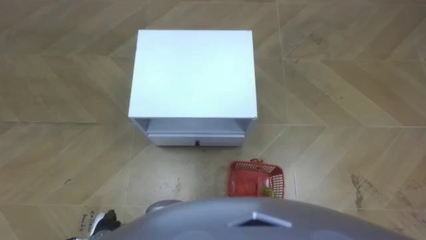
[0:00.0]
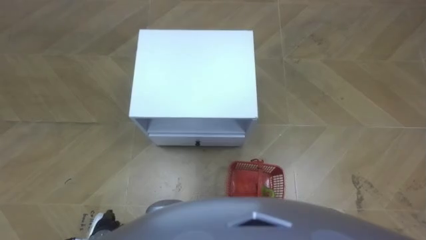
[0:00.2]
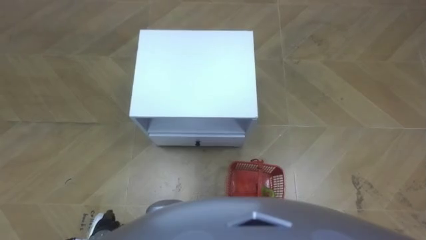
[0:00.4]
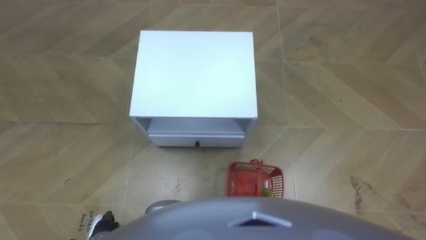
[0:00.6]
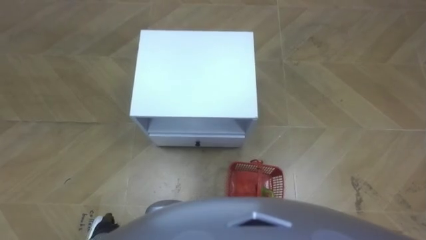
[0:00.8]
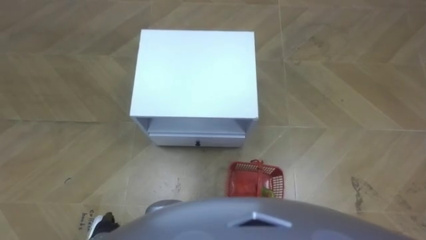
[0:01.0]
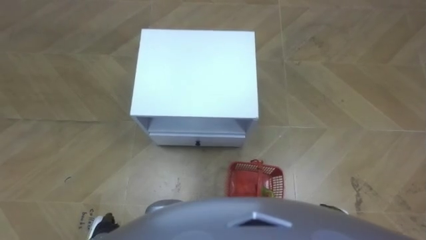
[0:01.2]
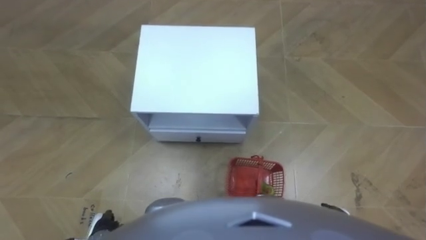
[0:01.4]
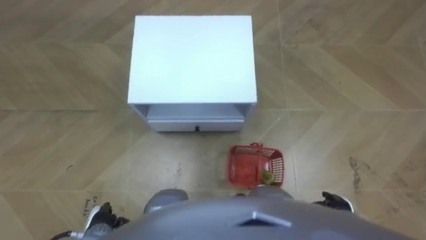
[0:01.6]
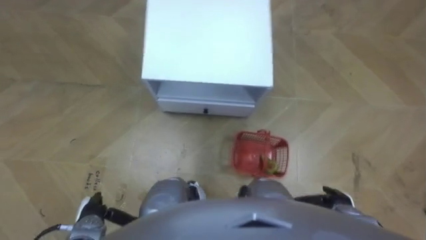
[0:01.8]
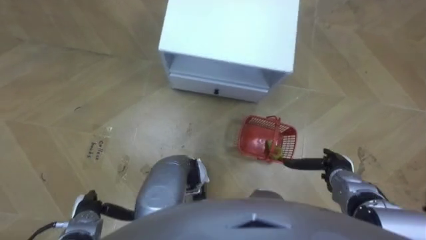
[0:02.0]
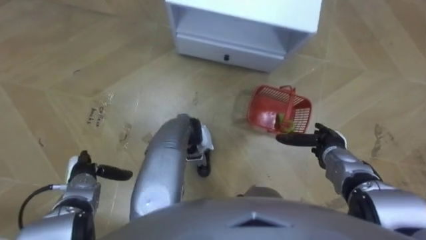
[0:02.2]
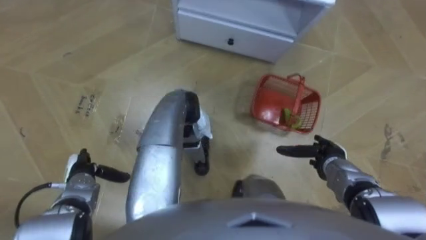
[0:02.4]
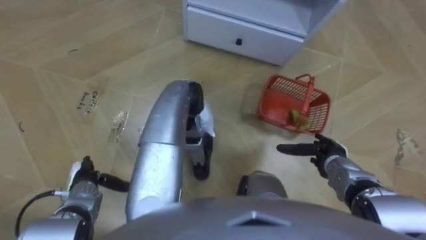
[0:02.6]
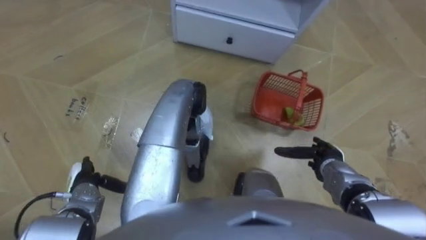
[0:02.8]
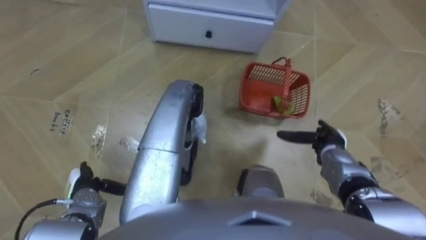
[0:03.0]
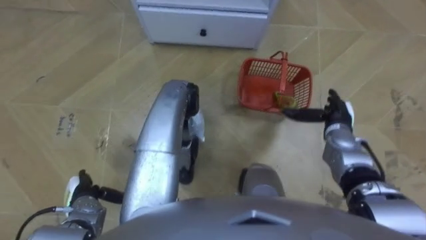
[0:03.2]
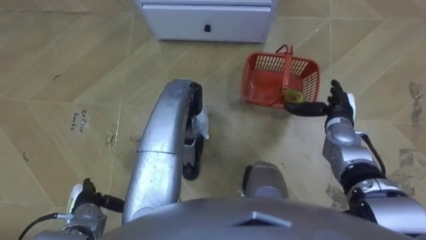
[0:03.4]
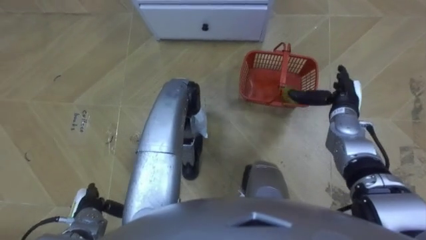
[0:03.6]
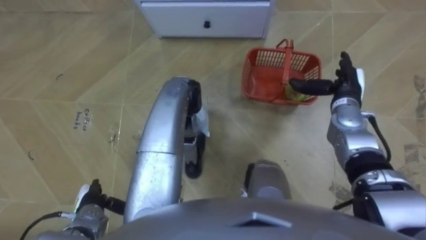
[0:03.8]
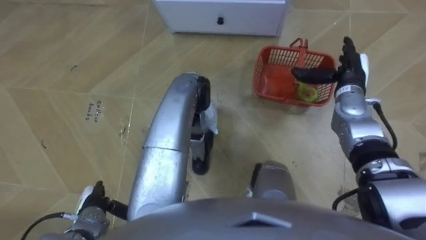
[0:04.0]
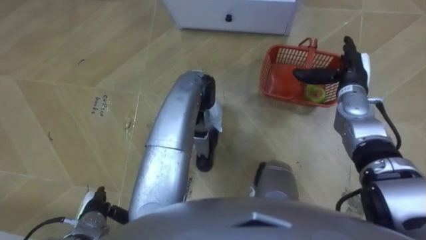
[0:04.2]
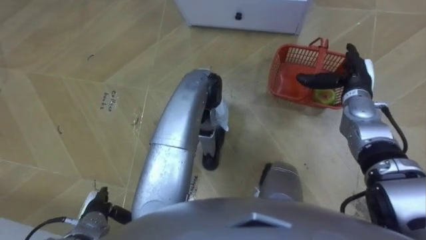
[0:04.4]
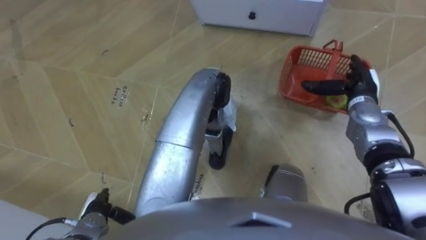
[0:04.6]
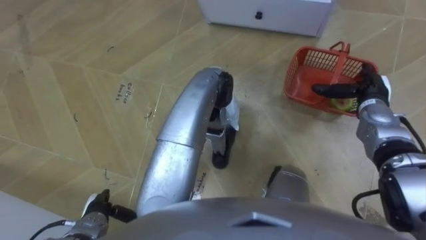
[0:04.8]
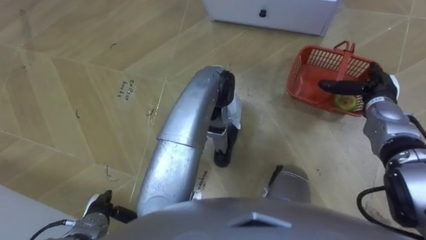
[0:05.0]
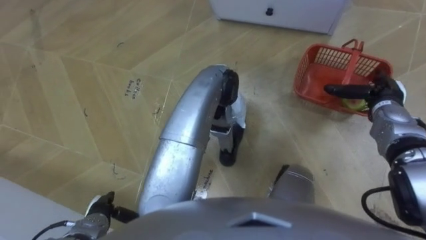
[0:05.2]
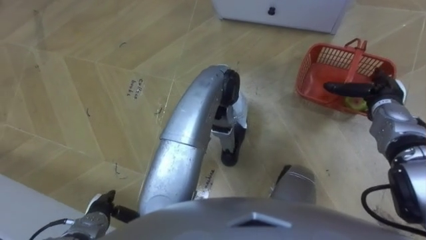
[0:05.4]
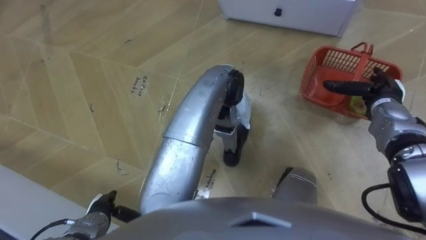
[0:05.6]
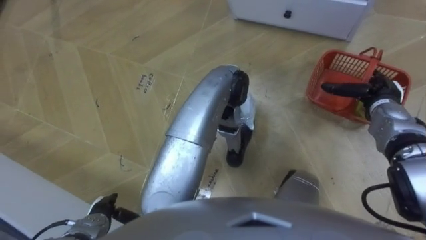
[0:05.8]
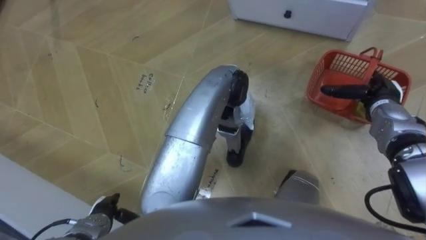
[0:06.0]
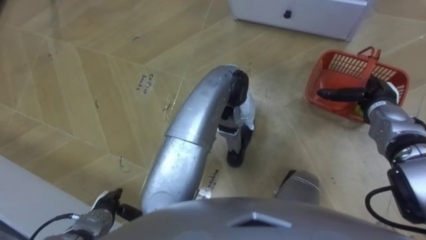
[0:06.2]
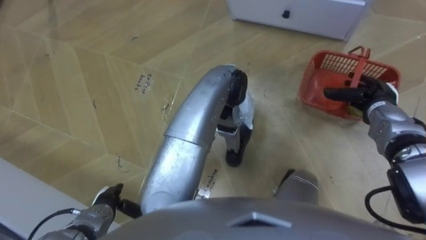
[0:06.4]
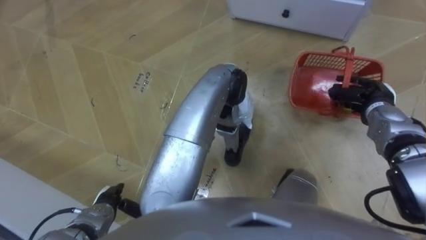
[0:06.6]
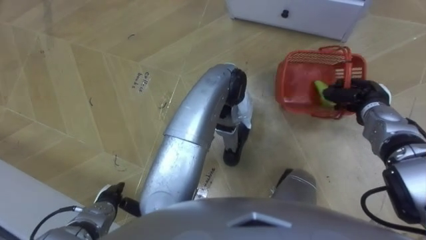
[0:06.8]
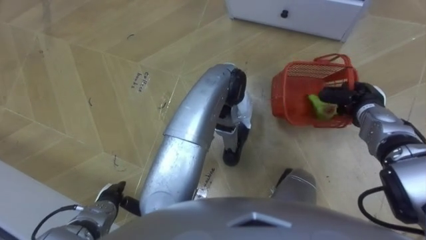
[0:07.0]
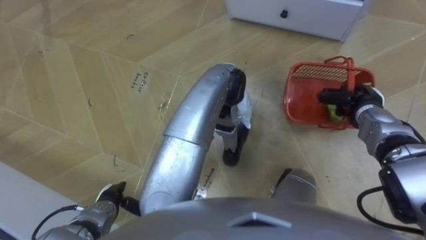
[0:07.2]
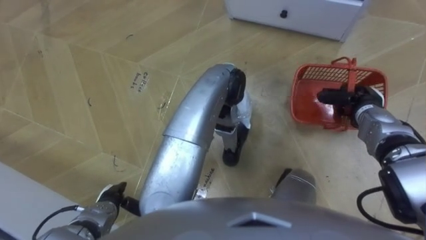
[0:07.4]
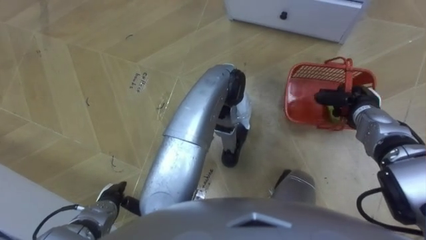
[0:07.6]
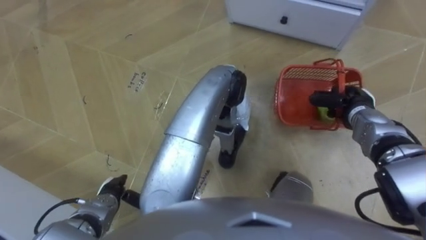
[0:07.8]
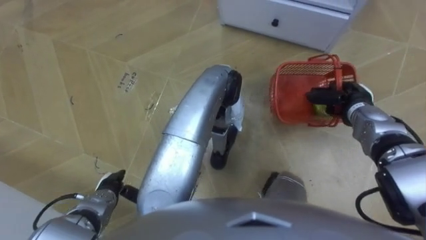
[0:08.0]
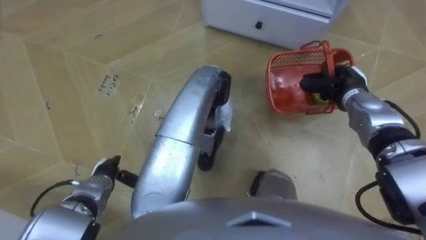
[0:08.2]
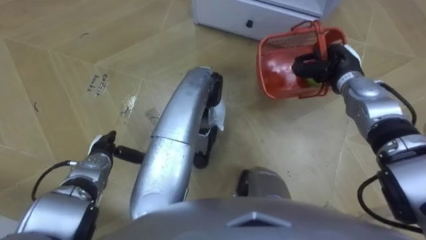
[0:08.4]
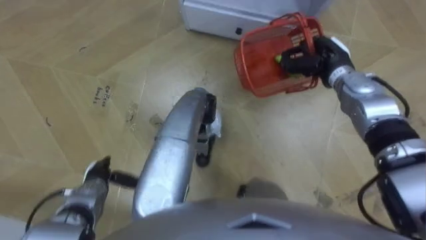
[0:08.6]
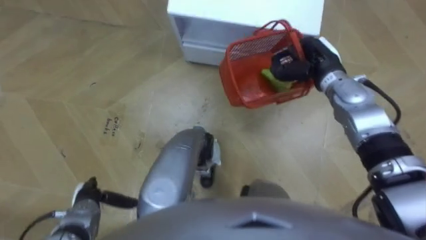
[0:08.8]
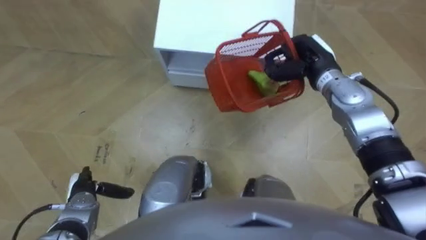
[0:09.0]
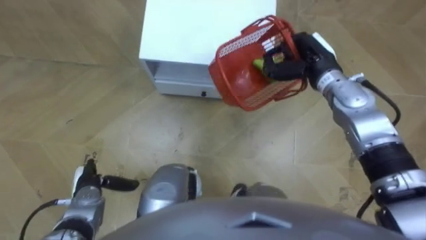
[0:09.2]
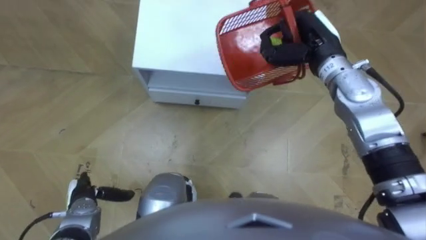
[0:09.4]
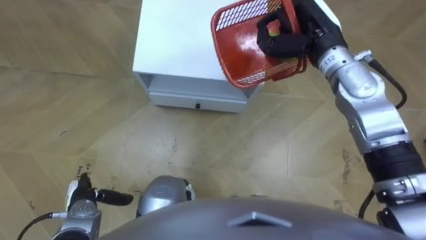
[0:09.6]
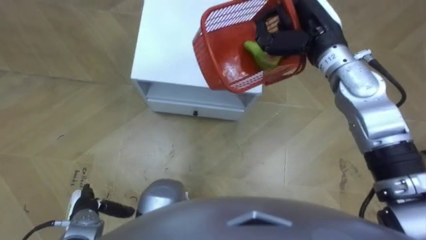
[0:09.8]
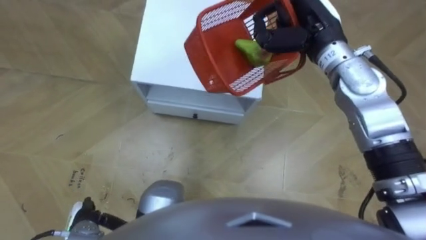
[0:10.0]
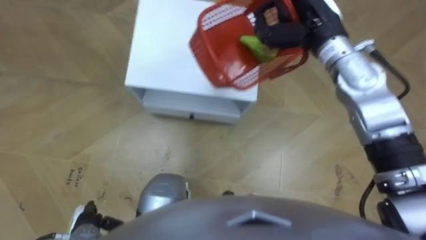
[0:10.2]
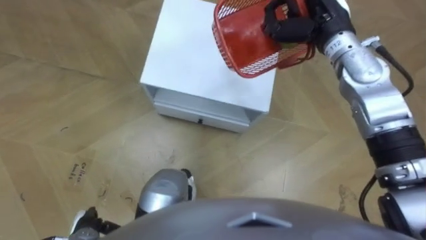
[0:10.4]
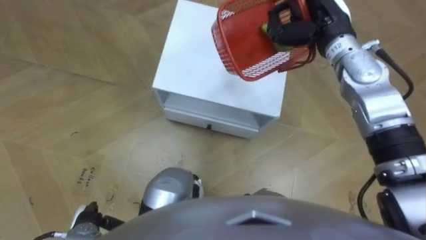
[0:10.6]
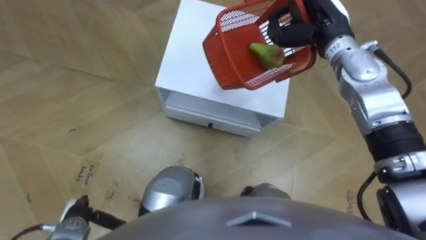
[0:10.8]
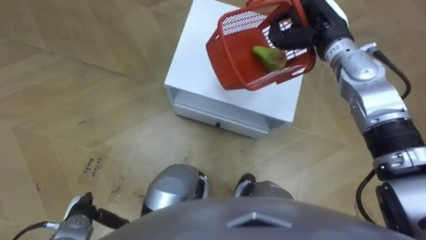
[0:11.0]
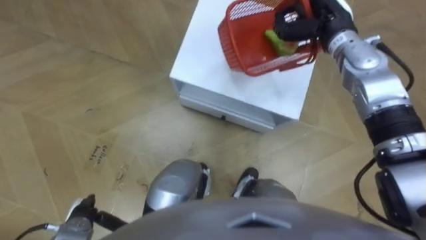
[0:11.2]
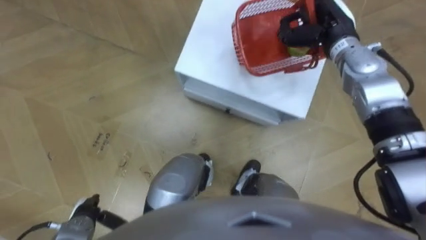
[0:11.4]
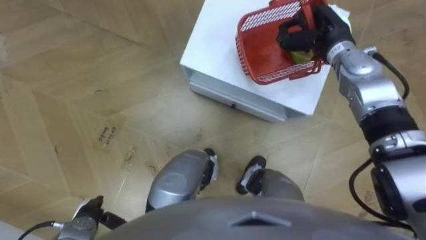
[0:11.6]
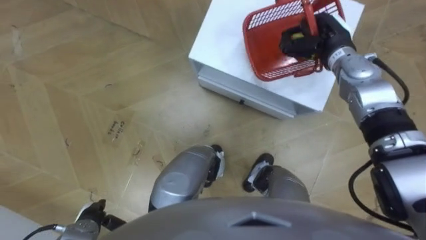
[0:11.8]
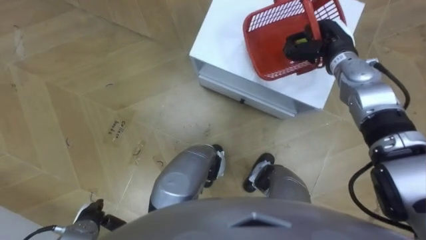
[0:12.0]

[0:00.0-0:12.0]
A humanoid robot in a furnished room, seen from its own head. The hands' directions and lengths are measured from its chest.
Task of the whole recording: Pick up the fruit basket from the floor and place it on the cabinet.
0:01.6 to 0:03.0: The left hand travels forward by some 10 cm. Meanwhile the right hand travels forward by some 15 cm.
0:03.0 to 0:04.4: The left hand travels backward by approximately 5 cm. The right hand heads forward and upward, covering roughly 15 cm.
0:04.4 to 0:06.0: The right hand travels to the right by some 5 cm.
0:06.0 to 0:07.6: The right hand closes its fingers.
0:07.6 to 0:09.0: The left hand shifts about 5 cm to the left, and reaches about 10 cm forward, then returns; the right hand shifts roughly 15 cm to the left, upward and forward.
0:09.0 to 0:10.4: The right hand moves upward, approximately 10 cm. Meanwhile the left hand heads backward, covering approximately 10 cm.
0:10.4 to 0:12.0: The right hand shifts roughly 10 cm downward.

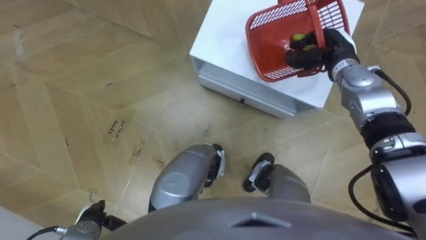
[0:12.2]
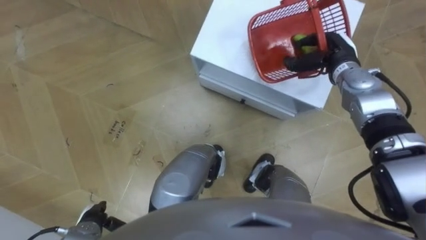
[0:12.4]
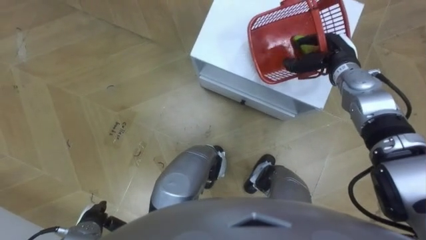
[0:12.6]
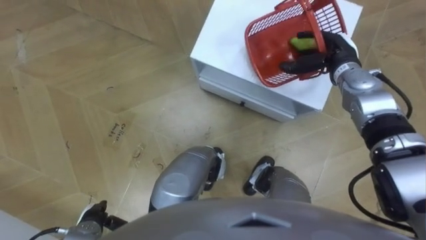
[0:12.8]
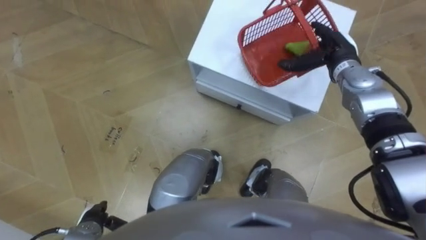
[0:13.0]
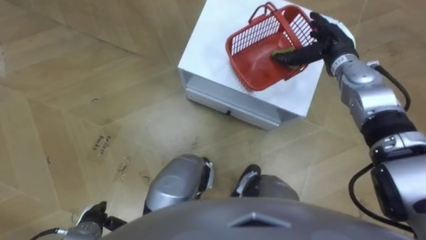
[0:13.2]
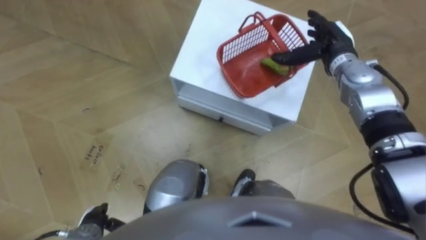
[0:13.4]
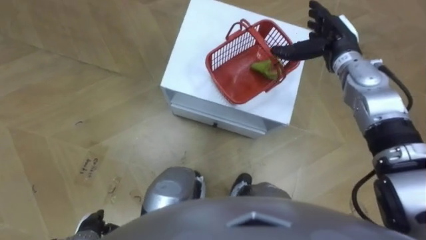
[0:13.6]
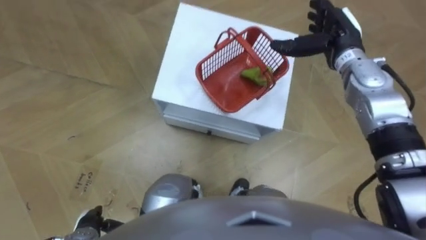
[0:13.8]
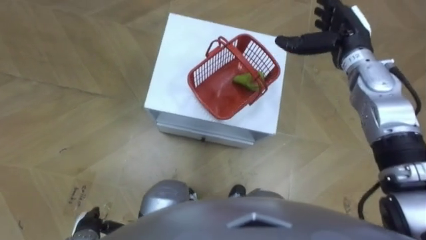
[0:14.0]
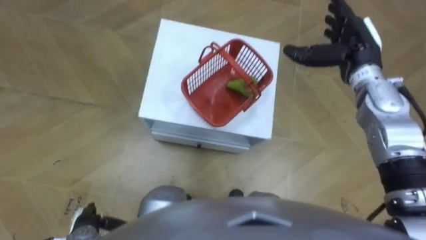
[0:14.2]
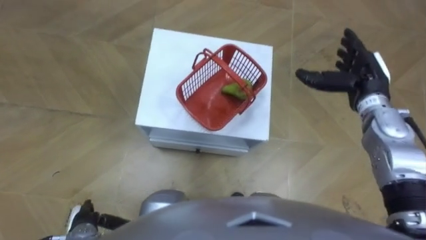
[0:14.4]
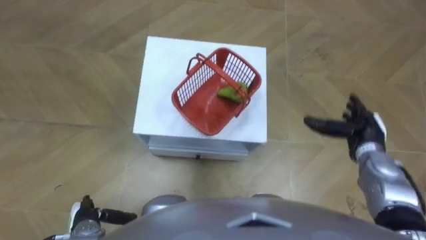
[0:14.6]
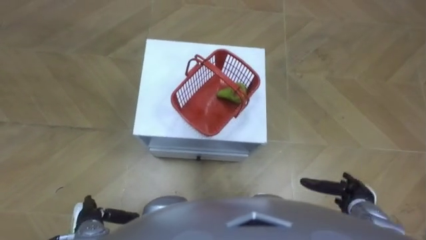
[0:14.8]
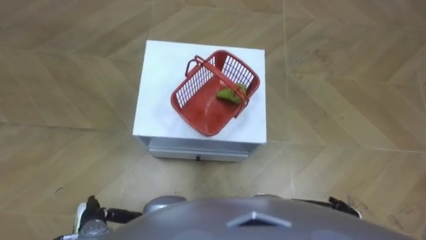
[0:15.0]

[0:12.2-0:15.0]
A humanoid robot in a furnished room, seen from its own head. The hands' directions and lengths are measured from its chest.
Task of the whole recording: Pick up the fruit basket from the floor and place it on the cabinet.
0:12.2 to 0:13.6: The right hand opens.
0:13.6 to 0:15.0: The right hand moves backward and downward, some 40 cm.

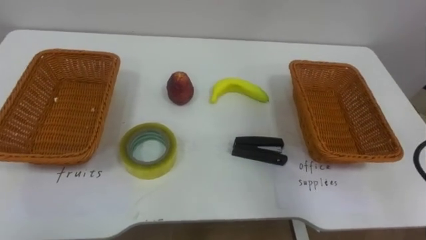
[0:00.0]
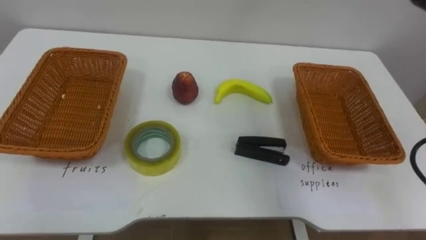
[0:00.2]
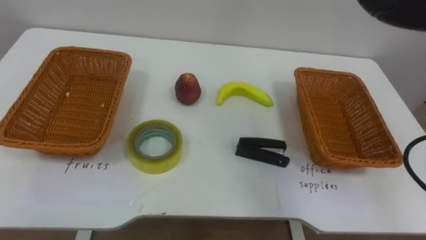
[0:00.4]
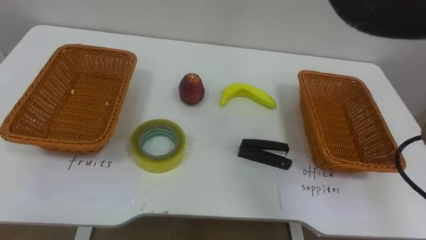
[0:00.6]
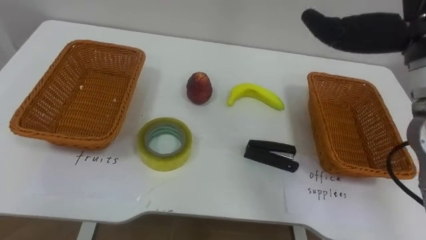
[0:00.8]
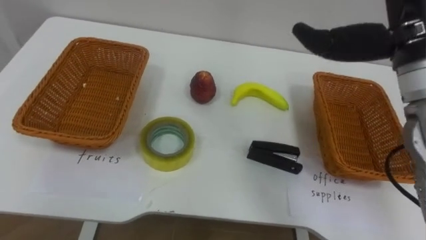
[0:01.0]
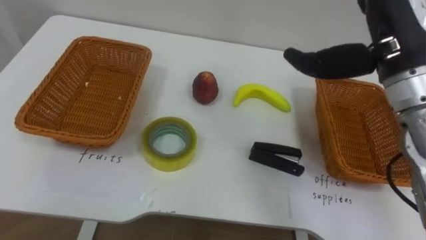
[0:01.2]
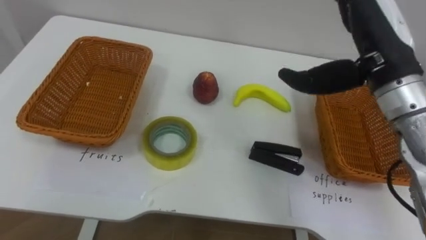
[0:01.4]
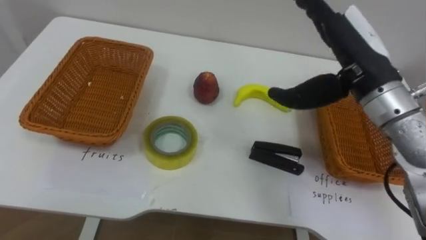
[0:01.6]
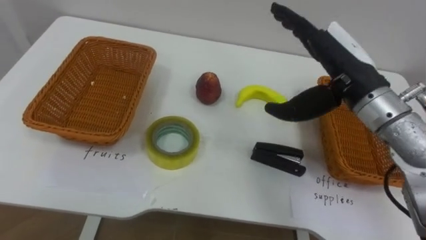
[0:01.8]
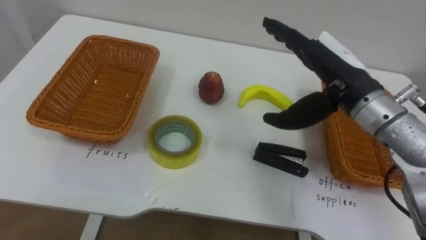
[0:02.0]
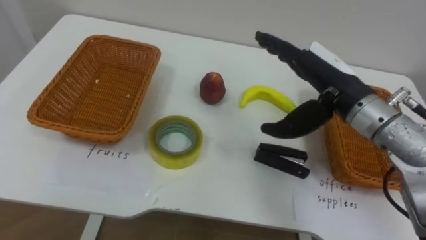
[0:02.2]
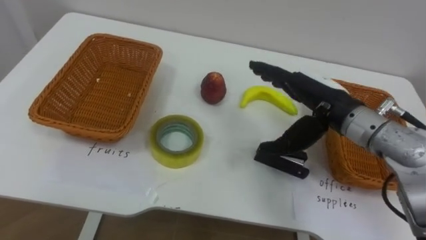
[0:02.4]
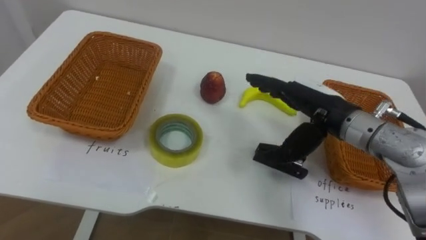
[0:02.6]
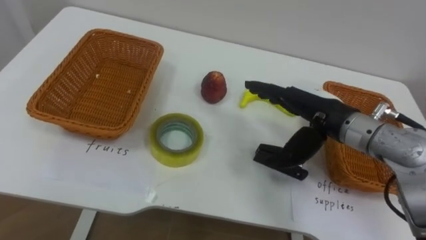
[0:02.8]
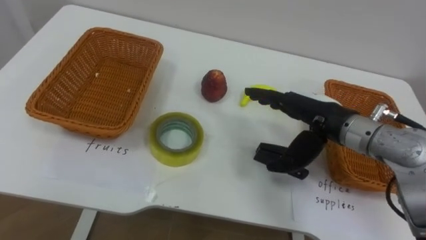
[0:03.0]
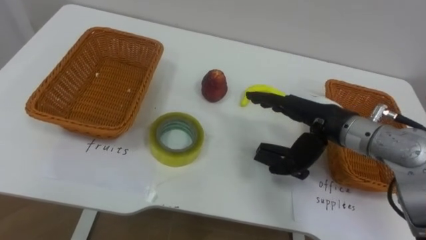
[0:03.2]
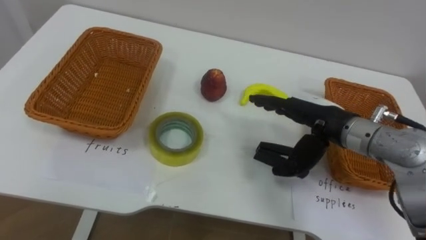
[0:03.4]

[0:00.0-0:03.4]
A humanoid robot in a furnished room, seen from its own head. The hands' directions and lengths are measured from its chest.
Task of the whole recording: Separate the items on the table and place them into the two baskets.
0:01.6 to 0:03.4: The right hand is displaced downward by roughly 10 cm.
